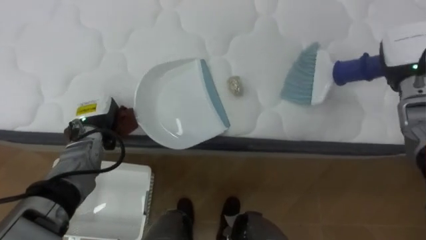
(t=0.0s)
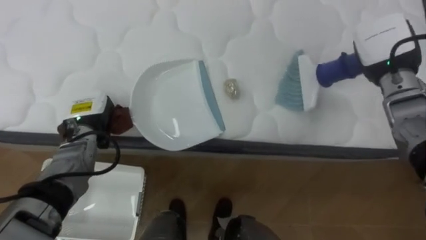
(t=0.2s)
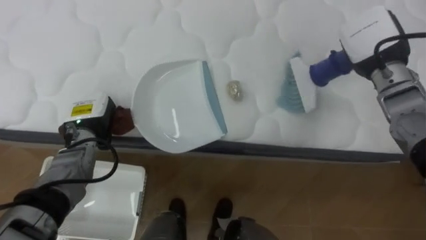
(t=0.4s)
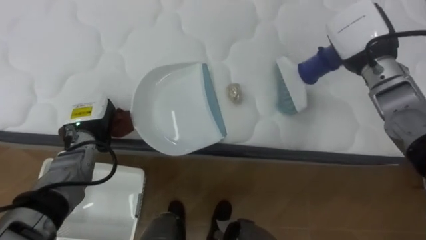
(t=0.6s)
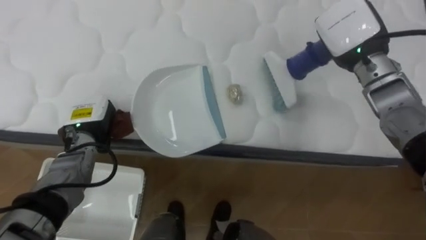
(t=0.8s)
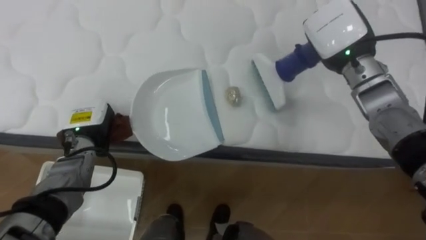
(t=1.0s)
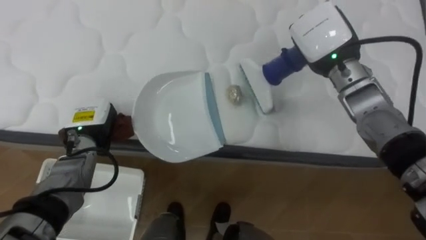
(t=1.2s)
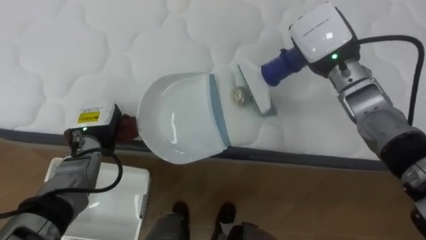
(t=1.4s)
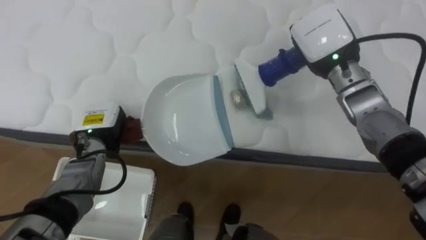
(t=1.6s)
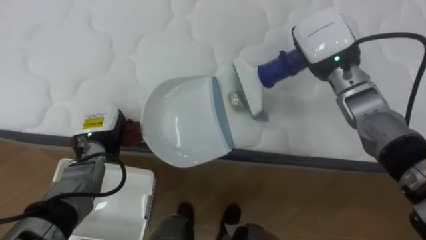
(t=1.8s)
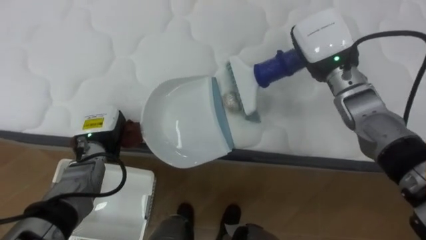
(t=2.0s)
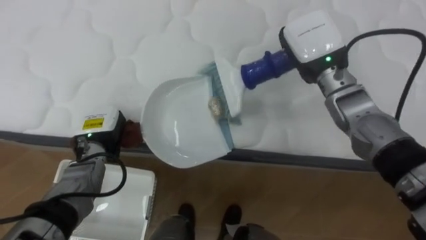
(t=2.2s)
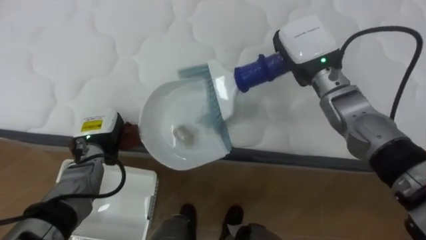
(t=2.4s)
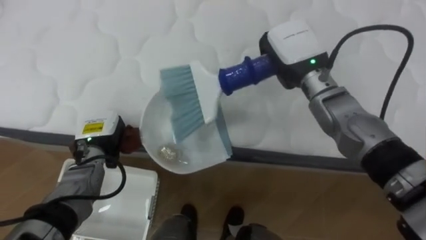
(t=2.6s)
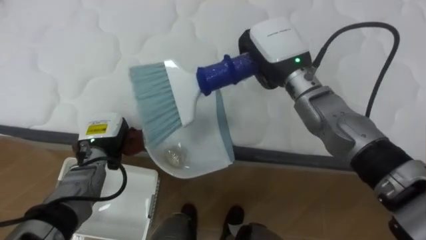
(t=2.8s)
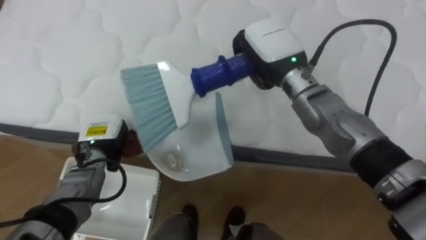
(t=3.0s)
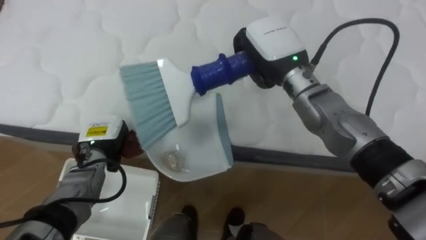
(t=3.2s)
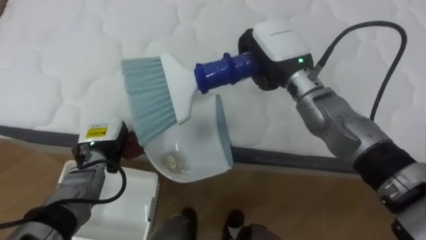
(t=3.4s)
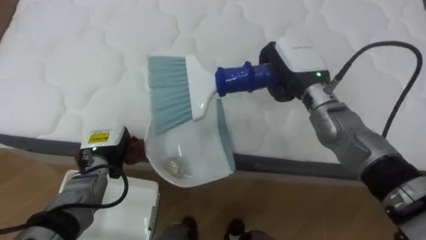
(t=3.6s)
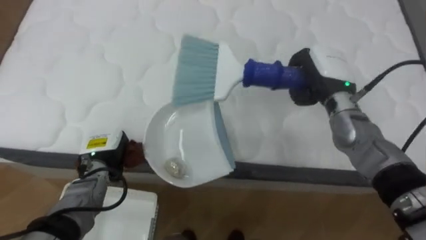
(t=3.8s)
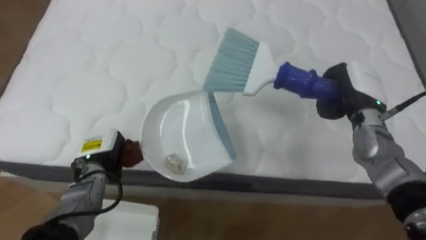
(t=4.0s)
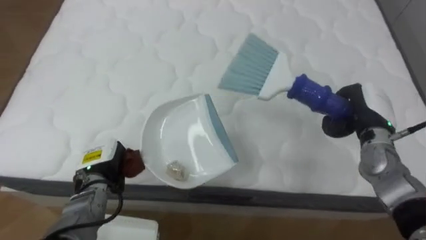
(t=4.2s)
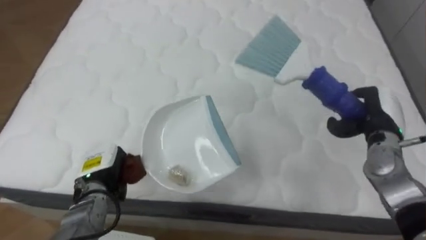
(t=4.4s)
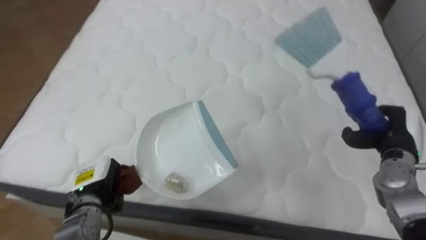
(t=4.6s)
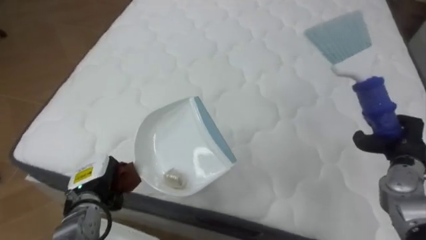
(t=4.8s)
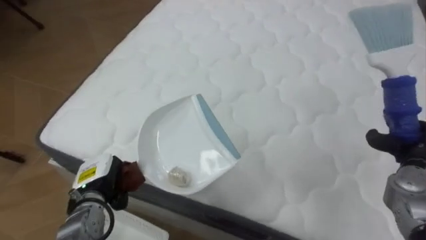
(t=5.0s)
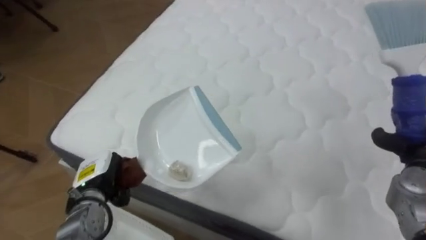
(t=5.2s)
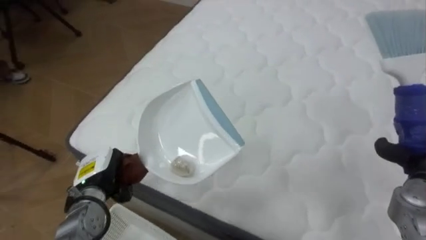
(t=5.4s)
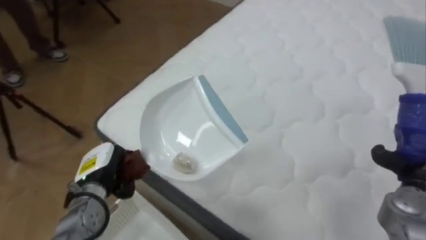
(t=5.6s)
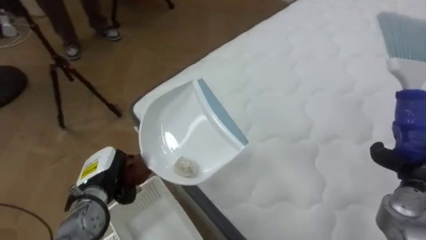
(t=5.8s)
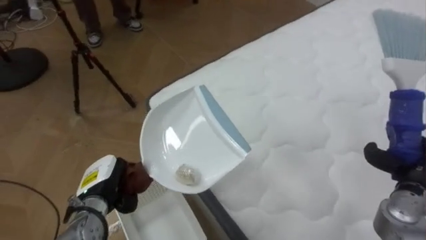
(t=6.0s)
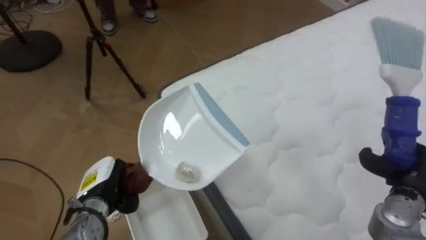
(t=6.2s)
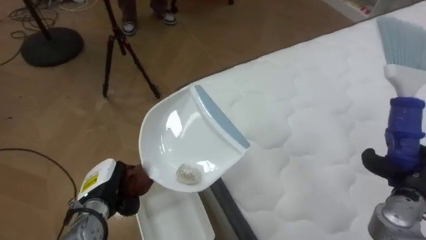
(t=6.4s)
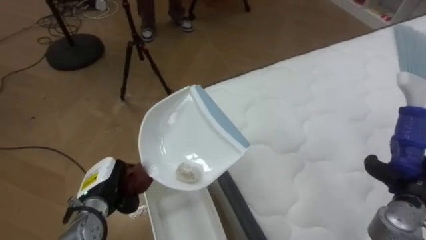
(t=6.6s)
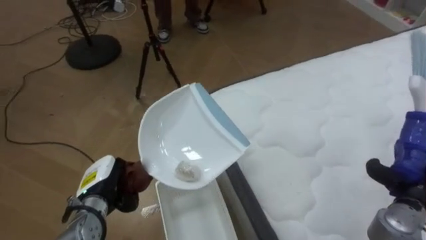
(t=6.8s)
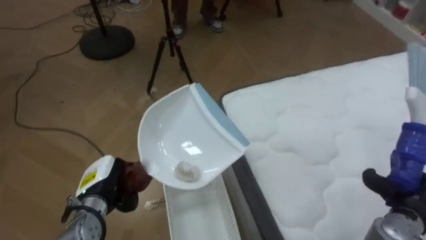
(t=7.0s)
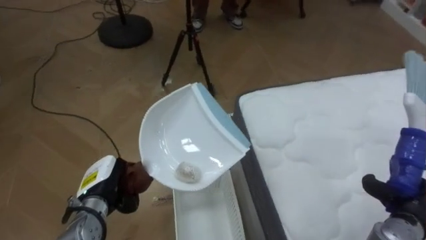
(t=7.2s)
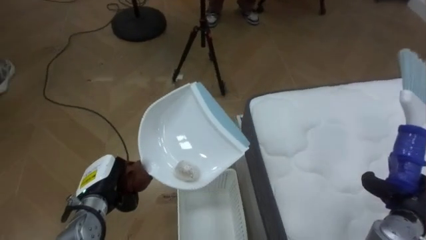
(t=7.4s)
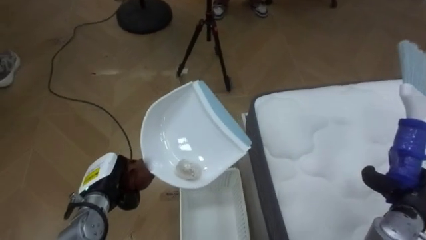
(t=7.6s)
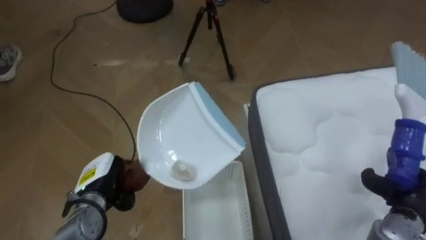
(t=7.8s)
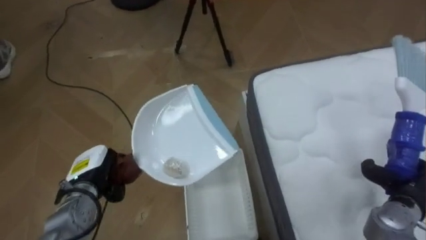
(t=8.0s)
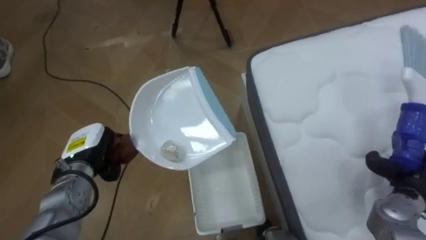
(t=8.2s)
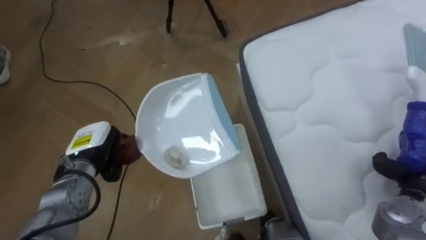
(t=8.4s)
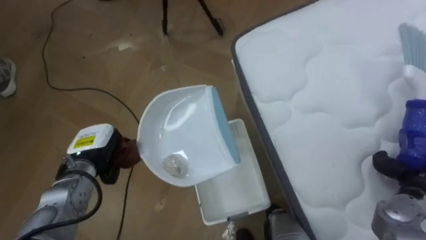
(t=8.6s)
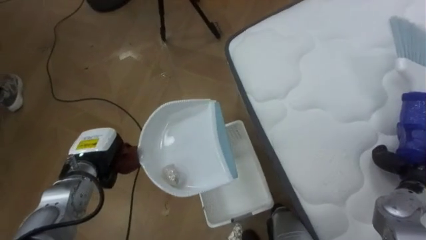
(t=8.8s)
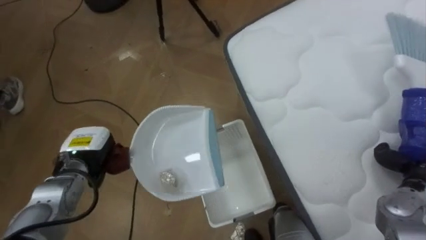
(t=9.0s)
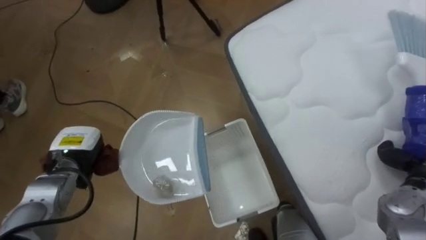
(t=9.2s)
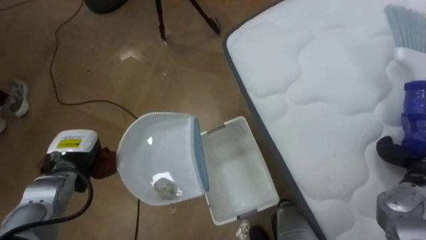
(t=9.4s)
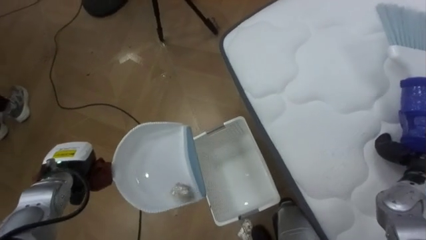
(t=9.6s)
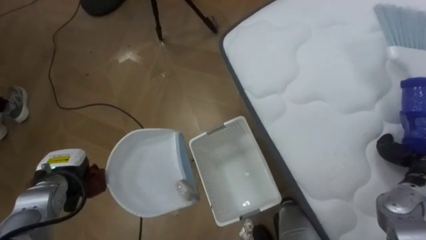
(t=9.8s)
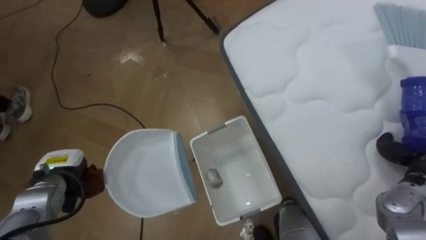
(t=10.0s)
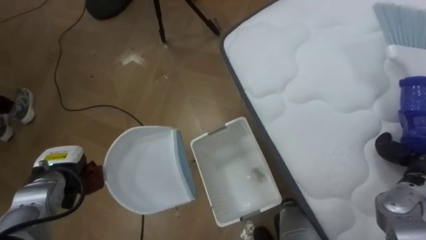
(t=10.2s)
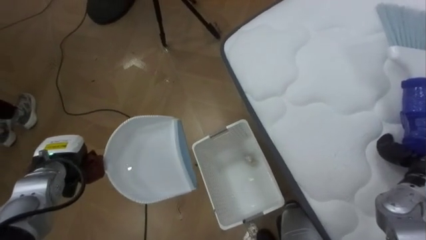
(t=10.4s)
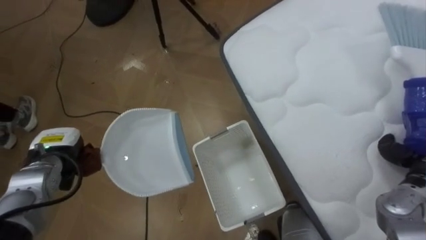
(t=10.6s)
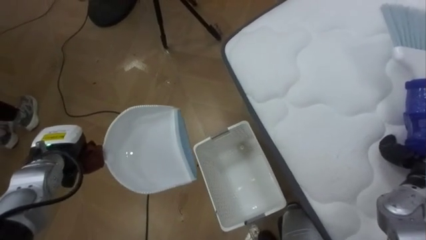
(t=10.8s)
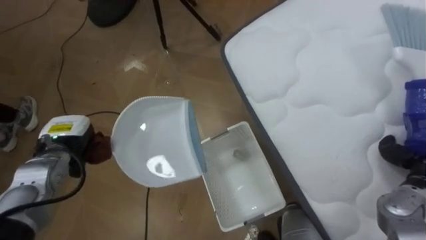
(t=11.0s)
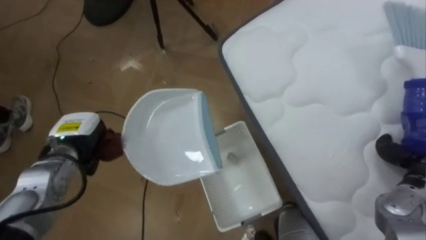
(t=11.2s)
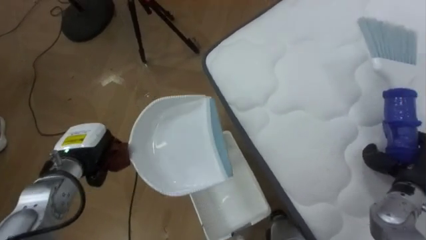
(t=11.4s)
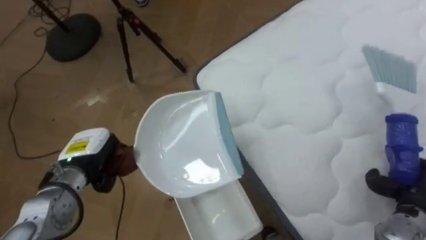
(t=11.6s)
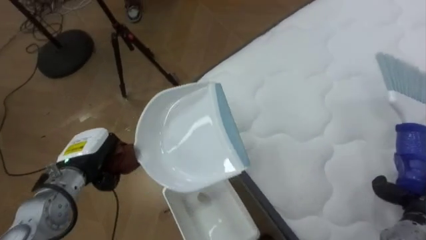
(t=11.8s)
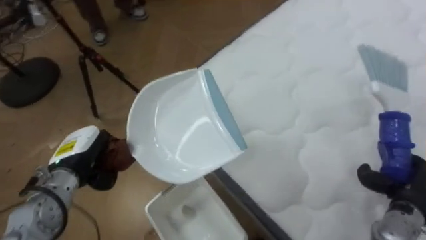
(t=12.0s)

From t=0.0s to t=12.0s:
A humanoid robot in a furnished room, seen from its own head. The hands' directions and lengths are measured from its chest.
Task of the whole recording: Pick up the brush on your right and the dustpan on your left. Use the brush to sweep the crumpled paper on the bed into the dustpan, then turn left and empty it into the basket.
From t=0.0s to t=1.6s: The right hand shifts approximately 15 cm to the left.
From t=1.6s to t=3.0s: The right hand travels to the left by roughly 10 cm.
From t=3.0s to t=4.4s: The left hand moves backward, about 5 cm, while the right hand travels to the right and downward by about 25 cm.
From t=4.4s to t=6.0s: The robot faces about 55 degrees further to its left. The right hand goes about 10 cm backward and to the right.
From t=6.0s to t=7.6s: The robot faces some 30 degrees further to its left. The right hand shifts by about 5 cm.
From t=7.6s to t=9.0s: The right hand changes place by some 5 cm, while the left hand shifts by roughly 5 cm.
From t=9.0s to t=10.4s: The left hand shifts about 5 cm to the left.
From t=10.4s to t=12.0s: The robot's body swings some 30 degrees to its right. The left hand is displaced to the right by roughly 5 cm.

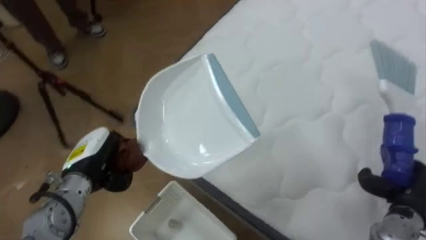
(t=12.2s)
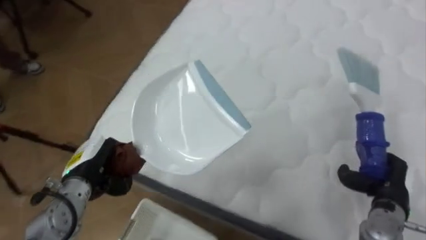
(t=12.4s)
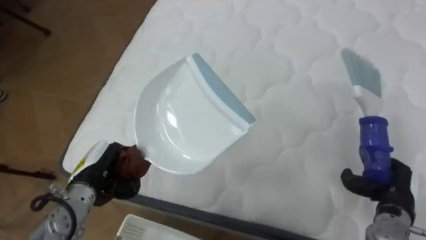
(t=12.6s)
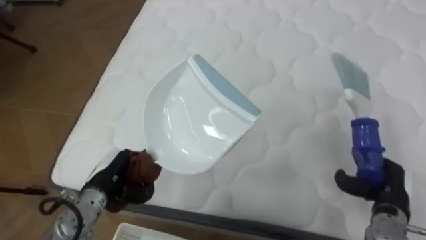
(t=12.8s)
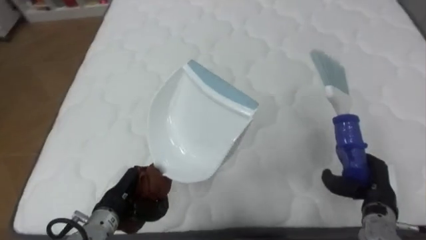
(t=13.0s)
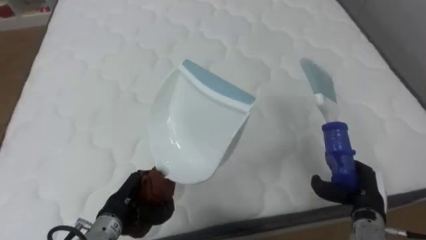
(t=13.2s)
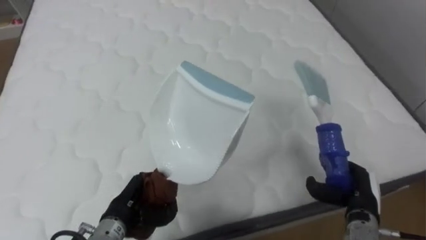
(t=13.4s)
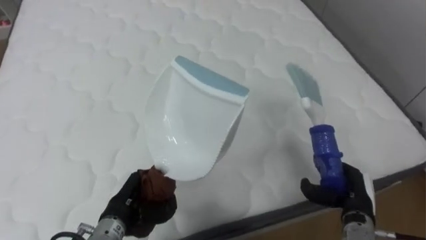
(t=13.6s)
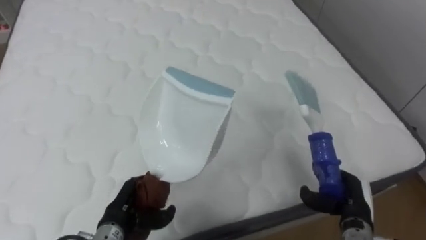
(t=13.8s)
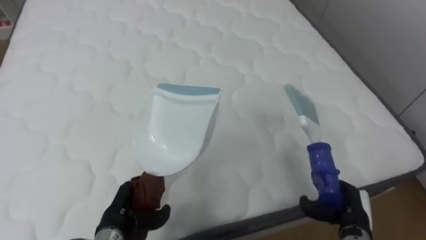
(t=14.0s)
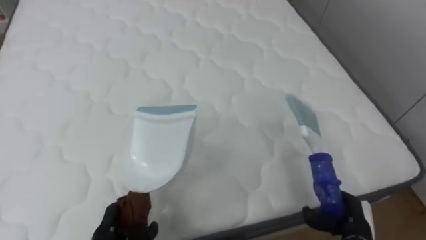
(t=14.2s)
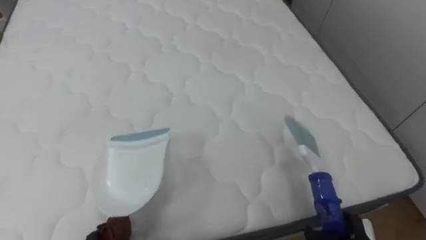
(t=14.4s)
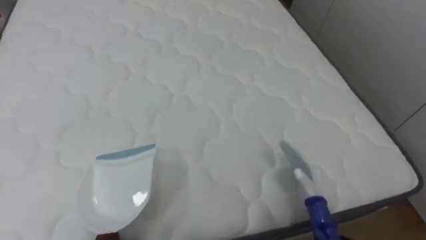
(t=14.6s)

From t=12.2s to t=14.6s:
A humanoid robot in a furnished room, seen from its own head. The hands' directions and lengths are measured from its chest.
Task of the whole recording: Pick up the brush on your right and the dustpan on your left. Use the brush to sweep the crumpled paper on the bed into the dustpan, then turn left and empty it into the basket.
From t=12.2s to t=13.4s: The robot faces approximately 50 degrees further to its right. The right hand is displaced to the left by some 10 cm. Meanwhile the left hand moves downward, backward and to the right, approximately 10 cm.

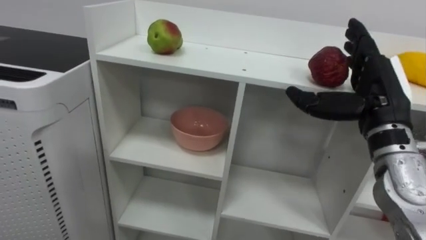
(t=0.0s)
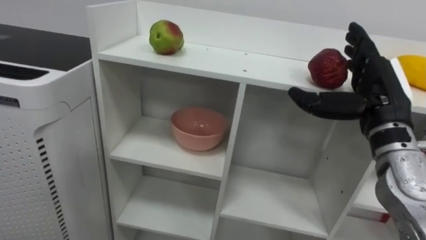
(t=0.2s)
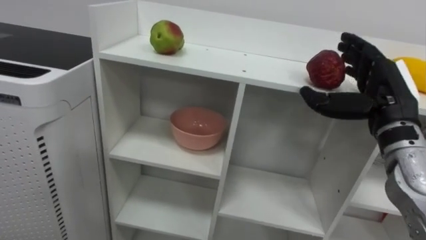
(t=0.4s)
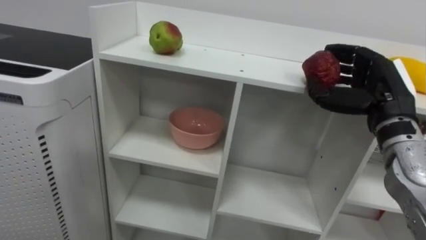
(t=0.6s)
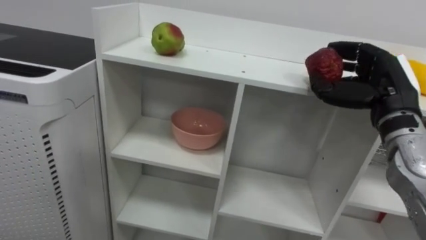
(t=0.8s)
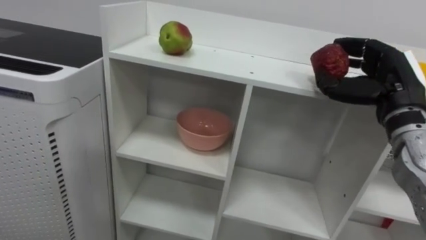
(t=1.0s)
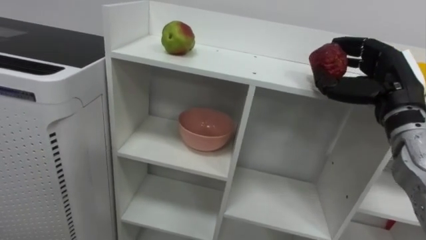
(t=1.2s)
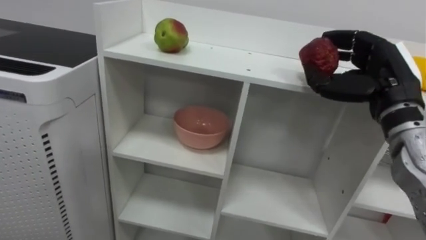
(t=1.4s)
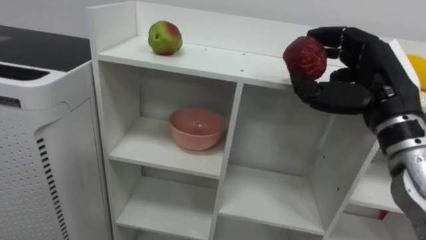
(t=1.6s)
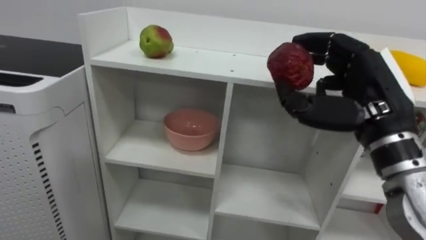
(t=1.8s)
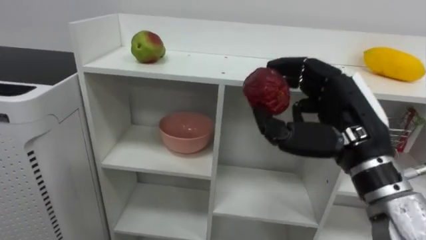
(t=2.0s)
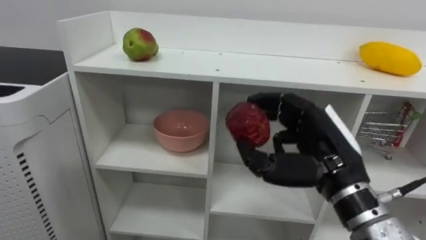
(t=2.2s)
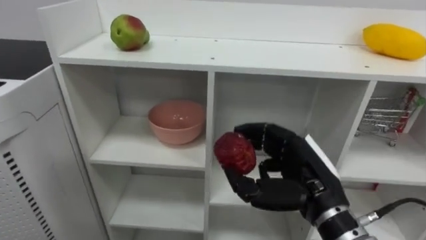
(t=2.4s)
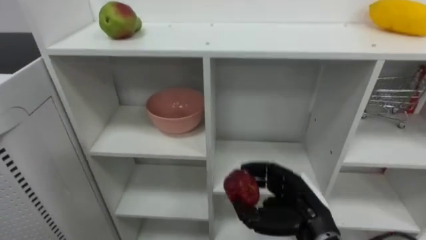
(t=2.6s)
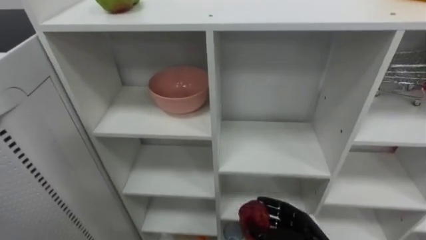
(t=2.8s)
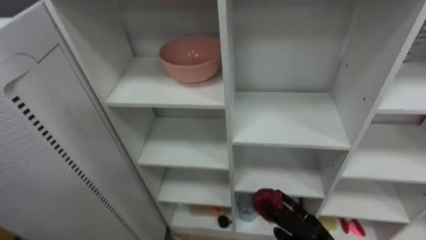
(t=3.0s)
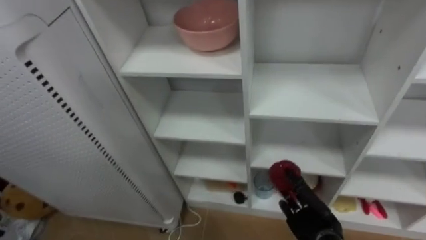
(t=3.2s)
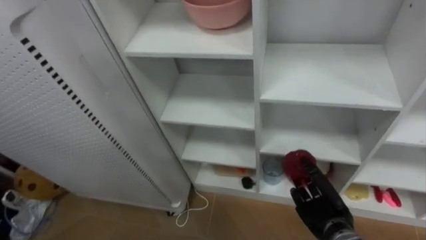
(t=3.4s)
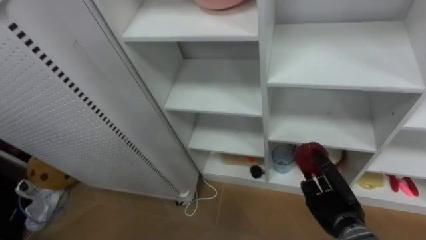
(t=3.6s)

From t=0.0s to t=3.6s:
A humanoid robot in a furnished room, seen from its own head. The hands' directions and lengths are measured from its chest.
Task of the whole recording: Put the apple in the cell in the second column from the left and the second row from the top.
From t=0.0s to t=1.8s: The right hand ends up approximately 5 cm from where it was, and closes its fingers.
